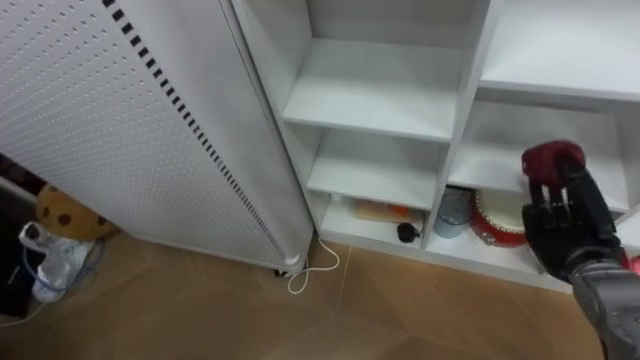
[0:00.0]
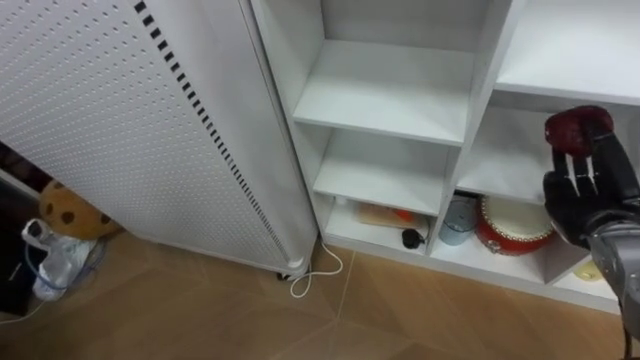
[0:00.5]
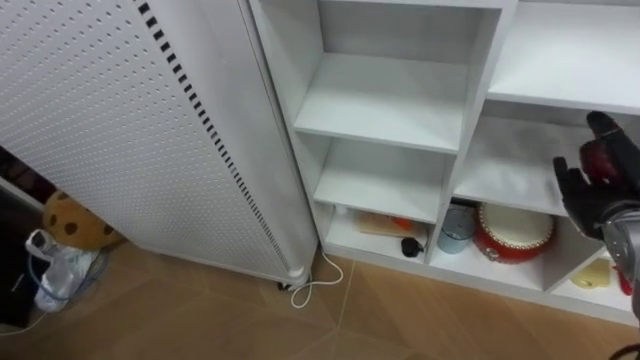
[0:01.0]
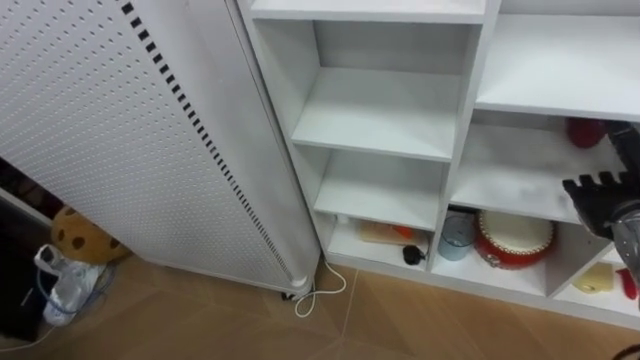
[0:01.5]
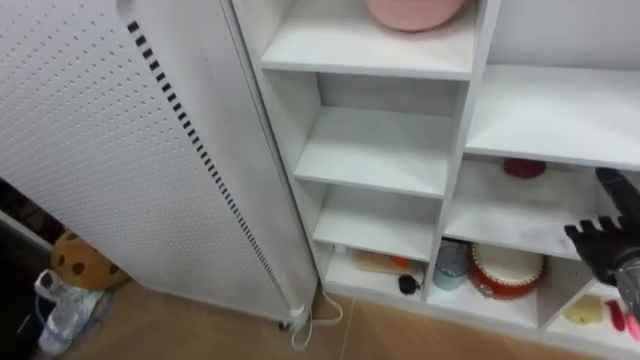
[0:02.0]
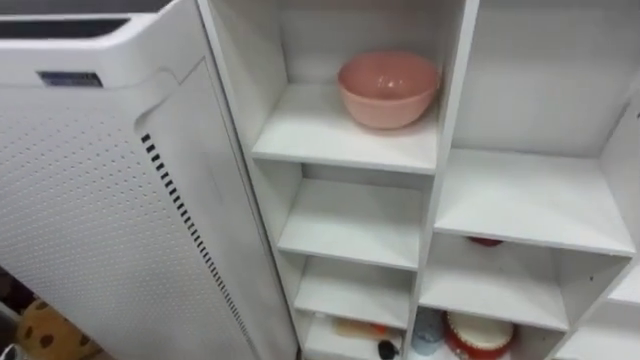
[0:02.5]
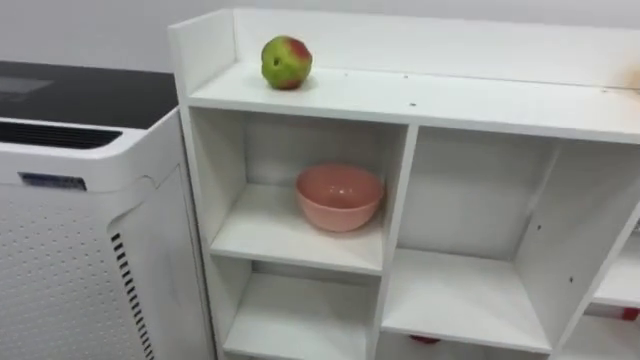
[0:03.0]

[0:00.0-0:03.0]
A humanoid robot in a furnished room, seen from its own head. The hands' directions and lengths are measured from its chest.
Task of the whole recording: Put the apple in the cell in the second column from the left and the second row from the top.
0:00.0 to 0:01.5: The right hand is displaced upward by about 5 cm, and opens.

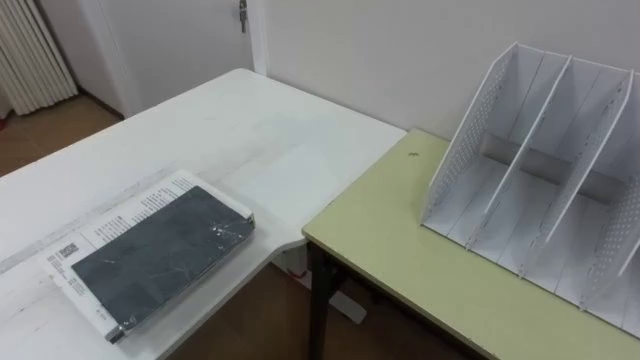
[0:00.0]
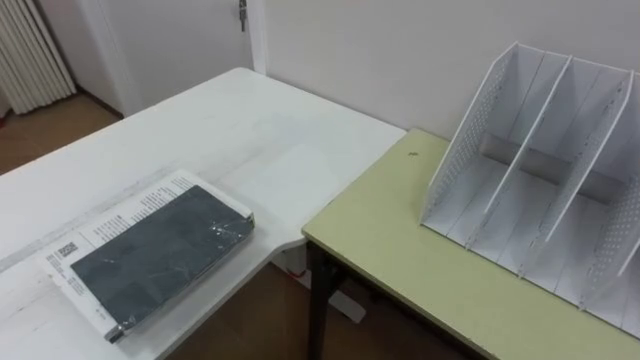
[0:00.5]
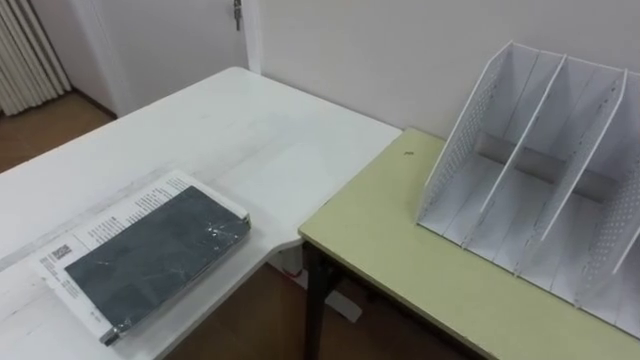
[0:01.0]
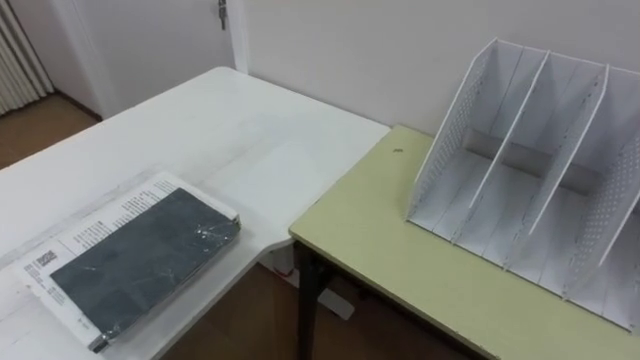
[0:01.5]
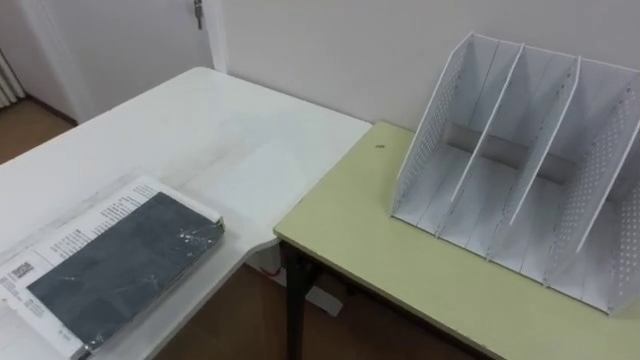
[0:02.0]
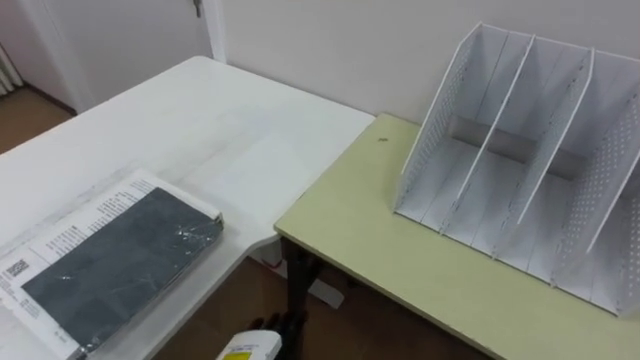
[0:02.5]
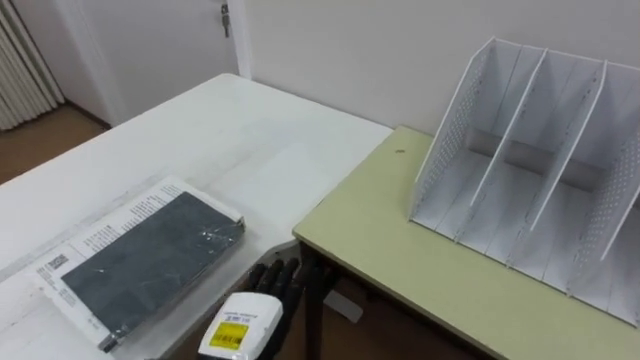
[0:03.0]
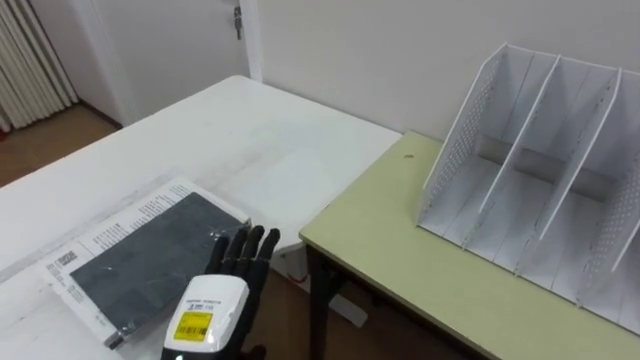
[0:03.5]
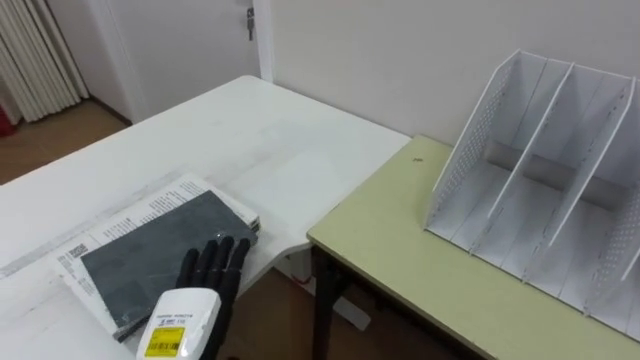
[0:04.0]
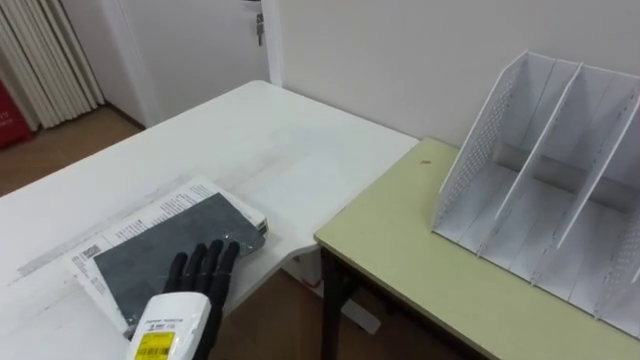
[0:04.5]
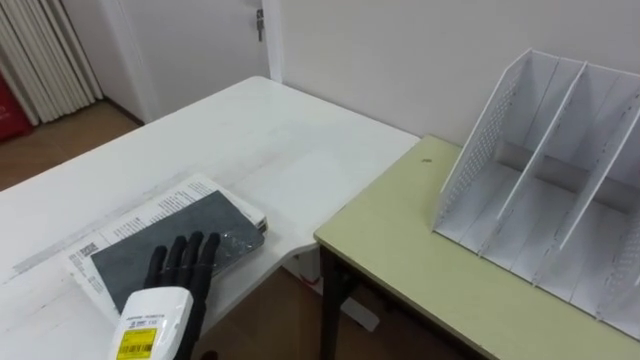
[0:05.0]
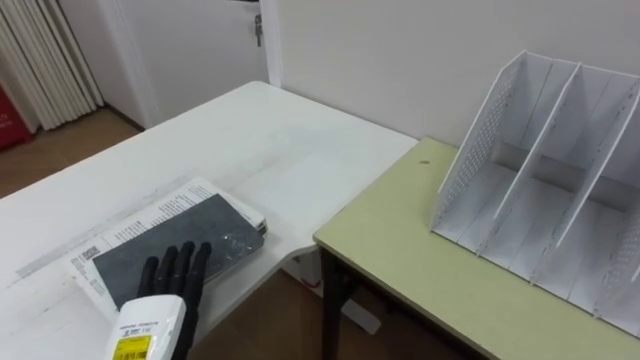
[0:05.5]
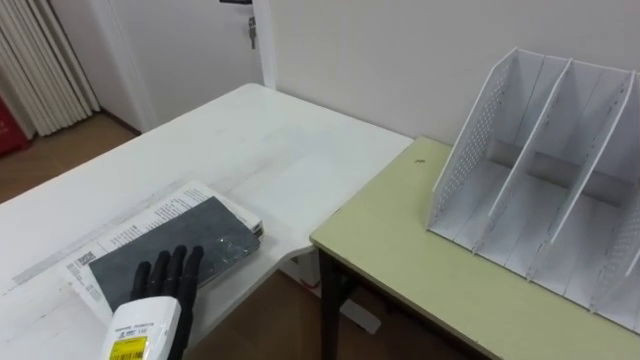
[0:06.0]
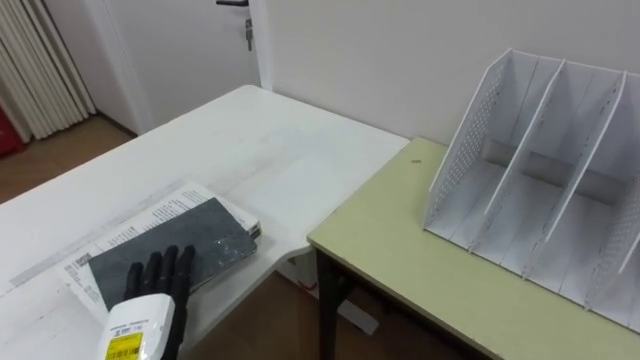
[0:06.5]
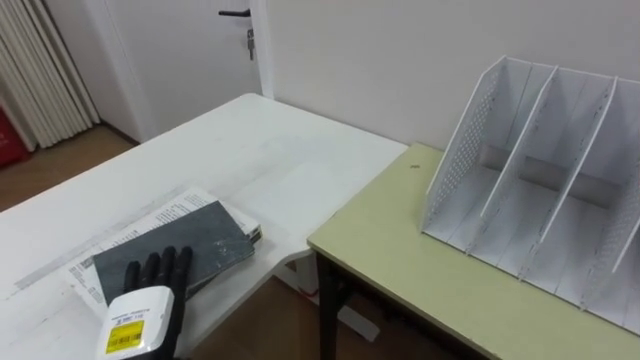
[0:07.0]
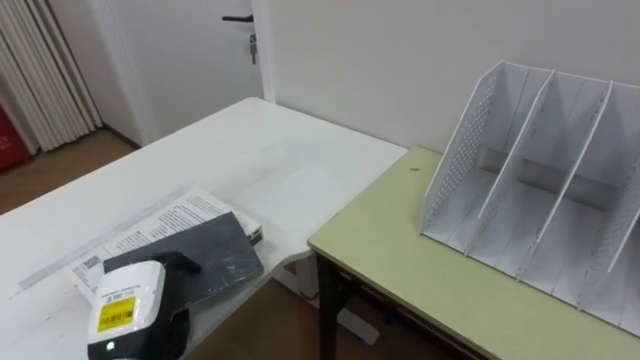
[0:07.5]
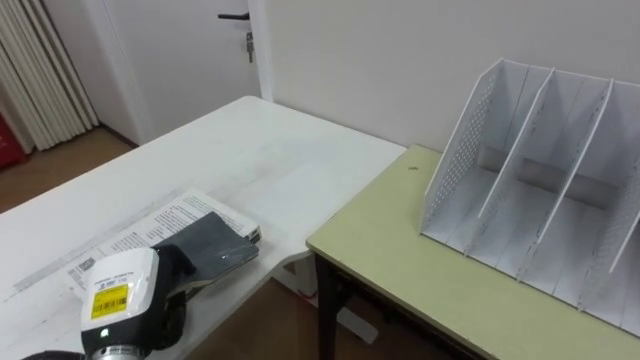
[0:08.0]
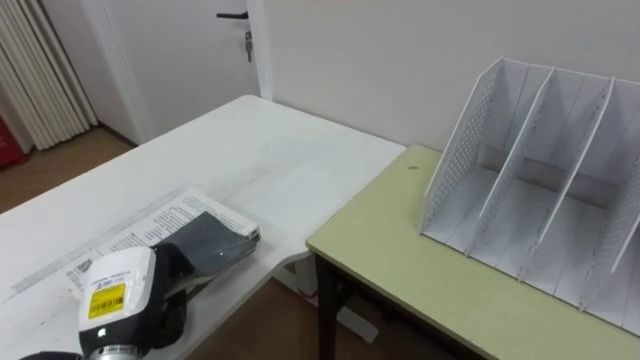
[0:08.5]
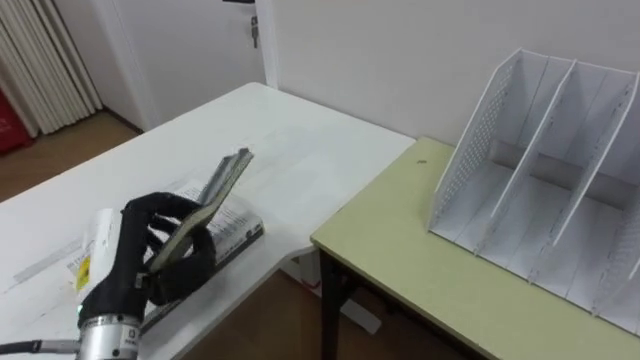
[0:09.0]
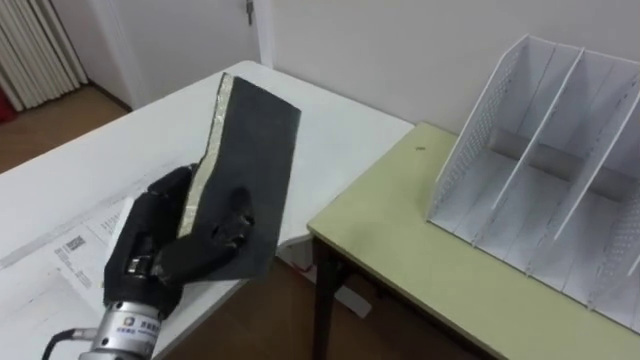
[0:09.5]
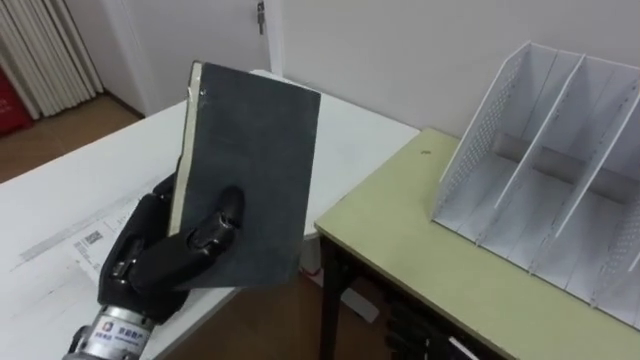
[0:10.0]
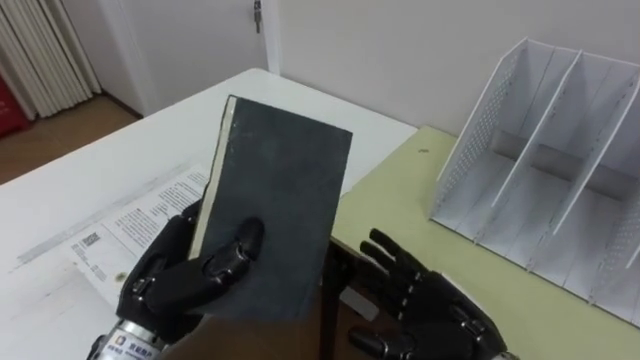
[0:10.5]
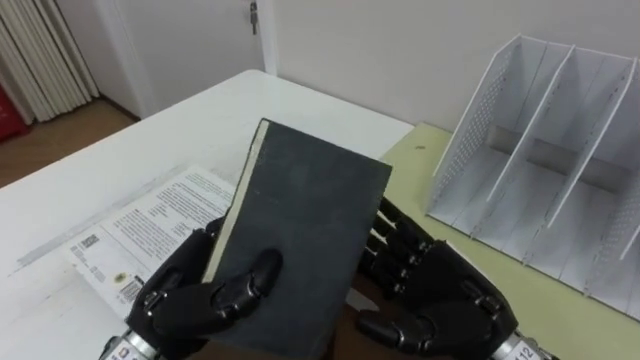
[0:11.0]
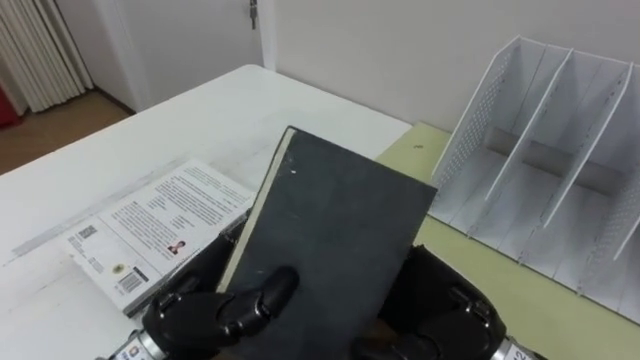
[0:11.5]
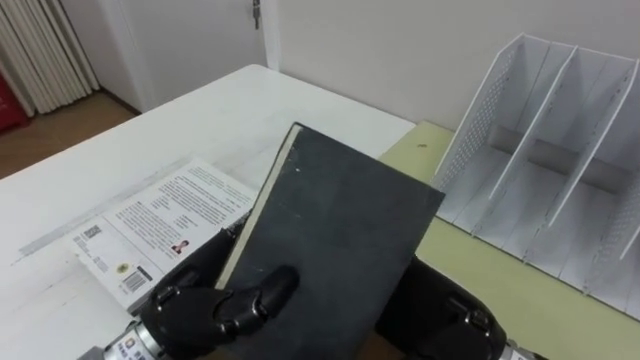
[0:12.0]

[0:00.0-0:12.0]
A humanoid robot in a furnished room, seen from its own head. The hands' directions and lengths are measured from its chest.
Task of the whole recording: Put the books on the table onto the bookshelf.
0:06.0 to 0:08.0: The left hand closes.
0:08.0 to 0:10.0: The left hand travels upward by approximately 10 cm.
0:10.0 to 0:12.0: The left hand is displaced to the right by roughly 5 cm.

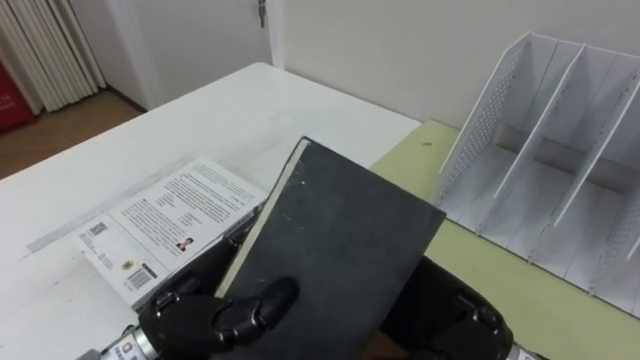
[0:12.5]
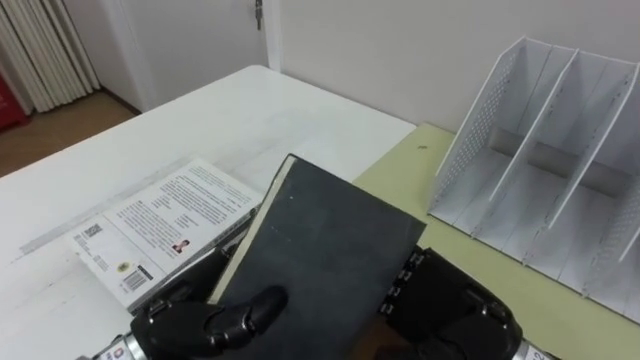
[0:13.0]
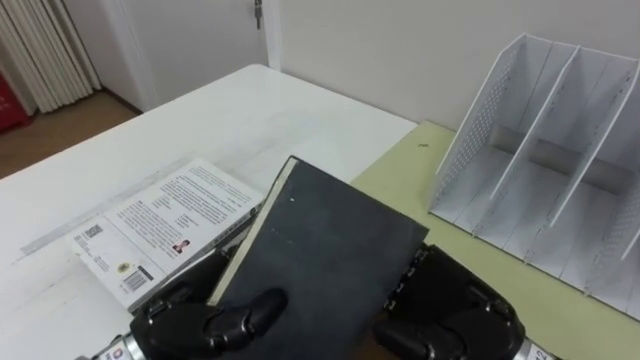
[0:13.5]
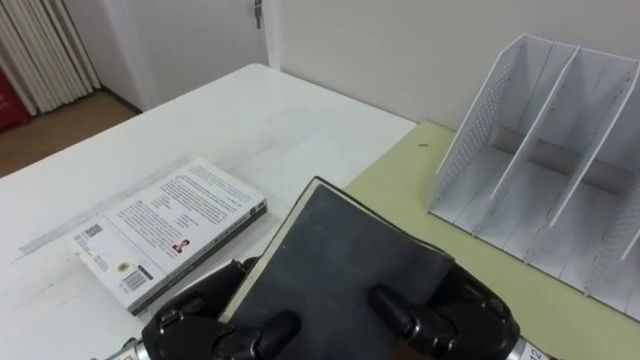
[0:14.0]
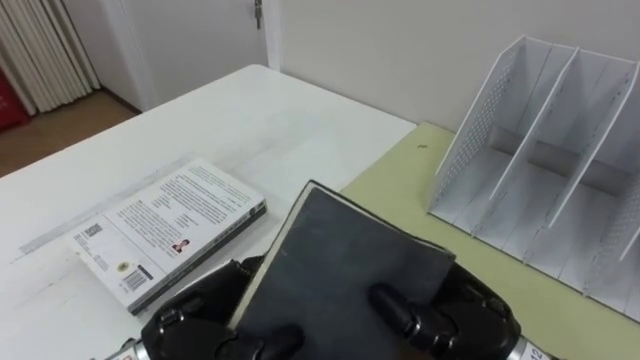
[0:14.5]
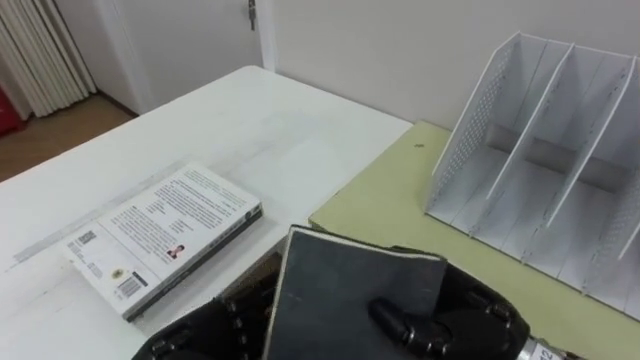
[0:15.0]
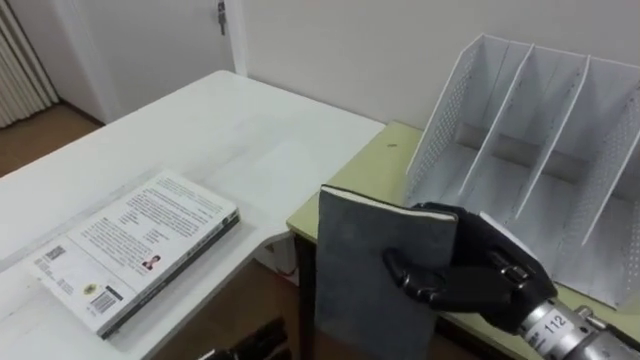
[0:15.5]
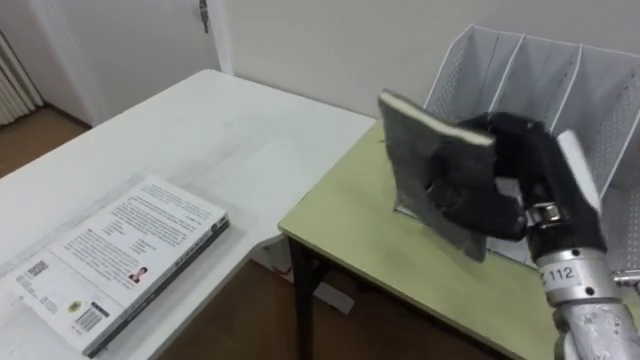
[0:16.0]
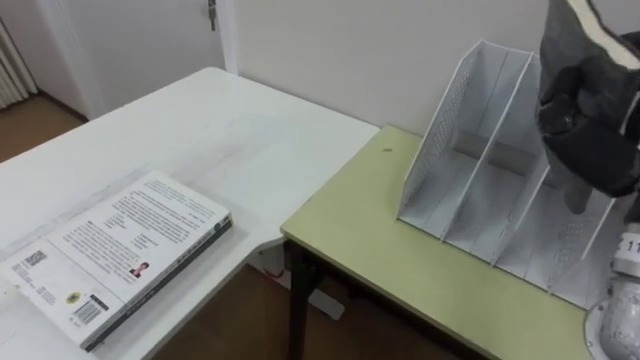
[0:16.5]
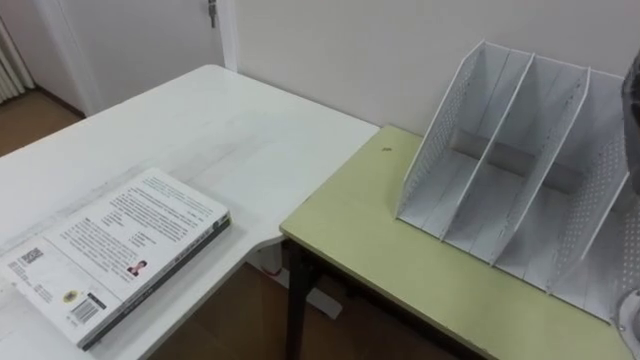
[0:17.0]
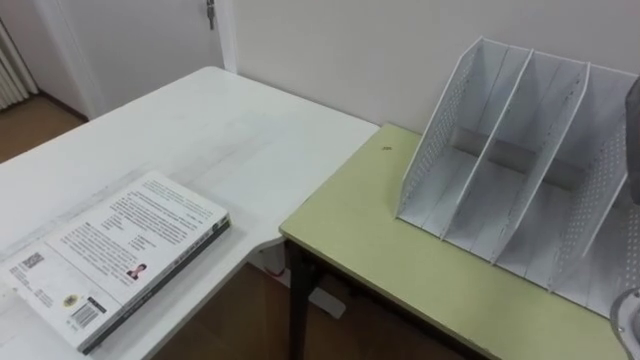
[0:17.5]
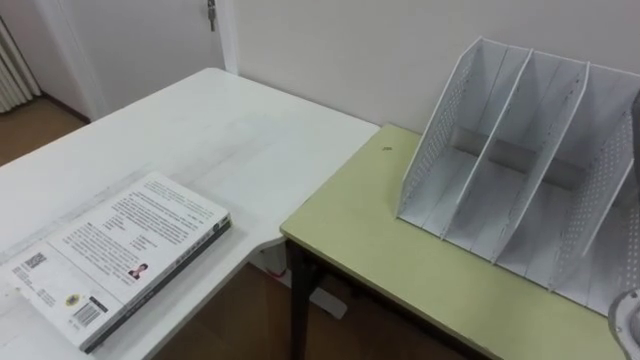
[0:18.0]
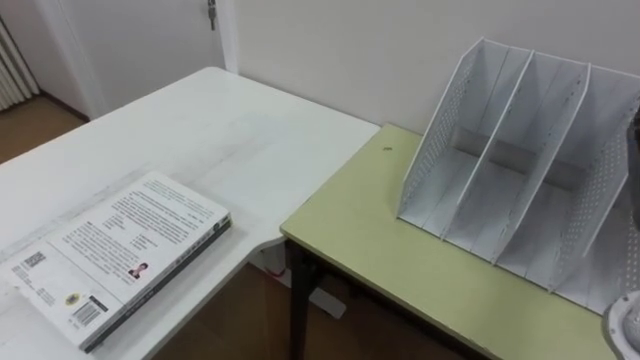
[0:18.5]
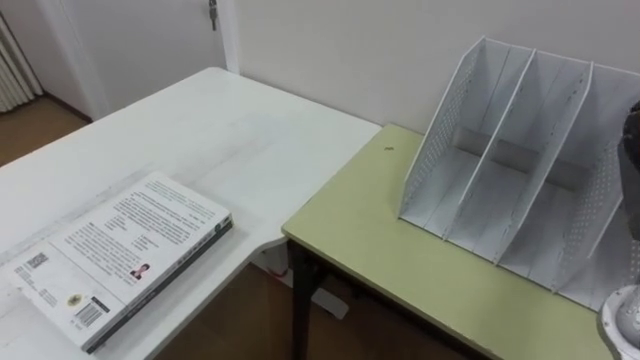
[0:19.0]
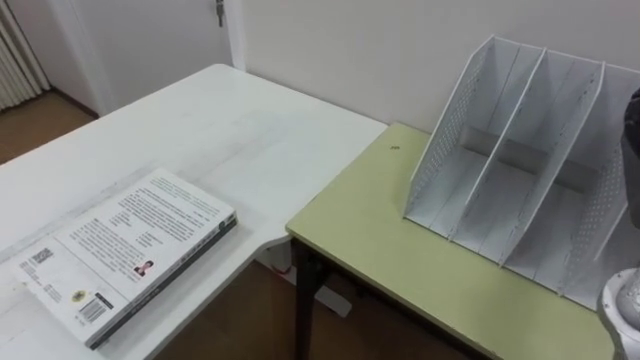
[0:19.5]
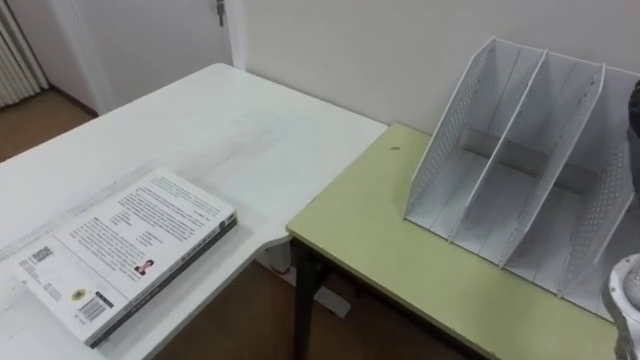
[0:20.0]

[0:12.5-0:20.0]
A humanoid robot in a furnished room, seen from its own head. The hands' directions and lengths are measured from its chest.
Task of the whole recording: Put the books on the table onto the bookshelf.
0:12.5 to 0:14.5: The right hand closes.
